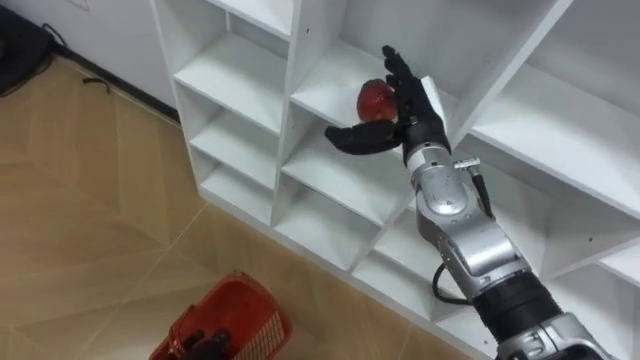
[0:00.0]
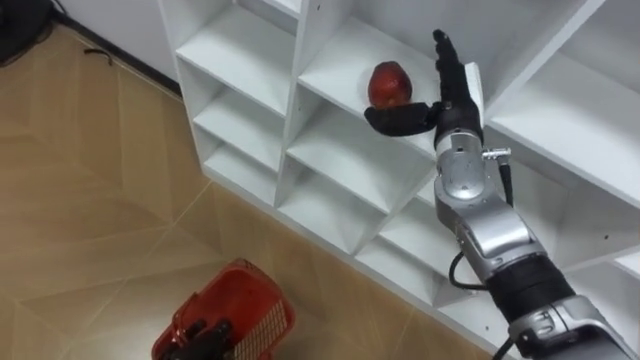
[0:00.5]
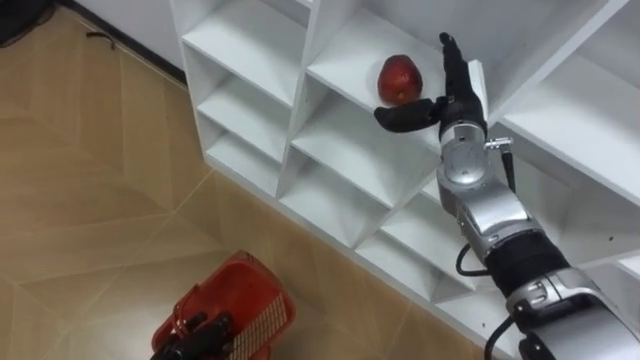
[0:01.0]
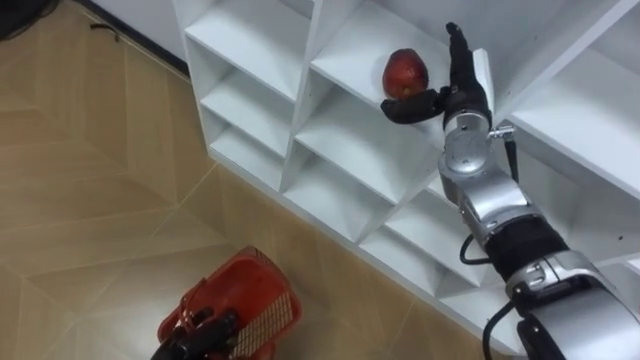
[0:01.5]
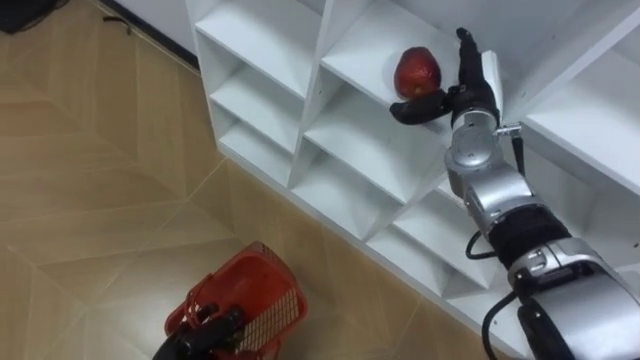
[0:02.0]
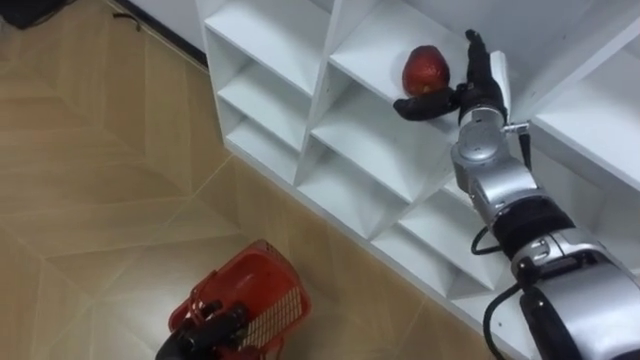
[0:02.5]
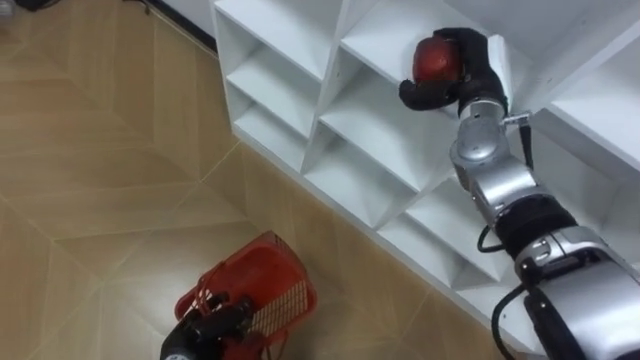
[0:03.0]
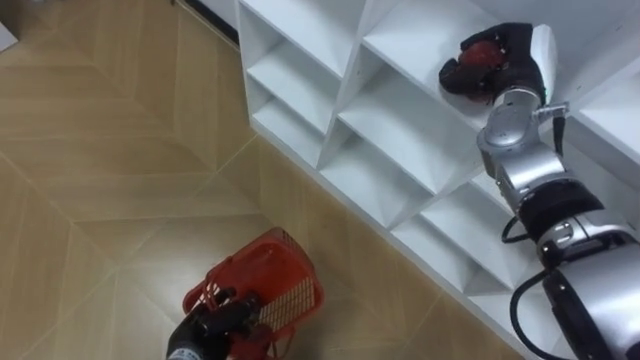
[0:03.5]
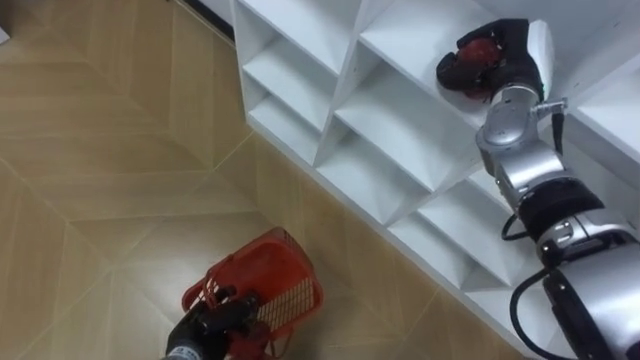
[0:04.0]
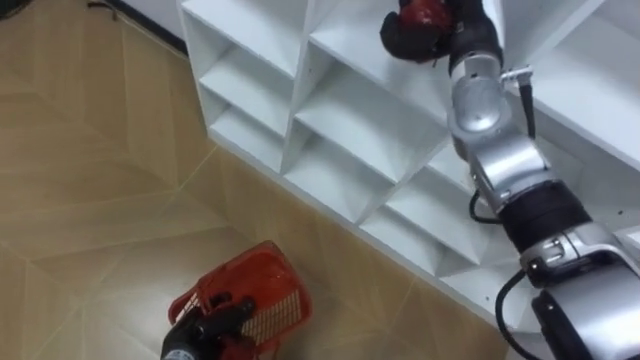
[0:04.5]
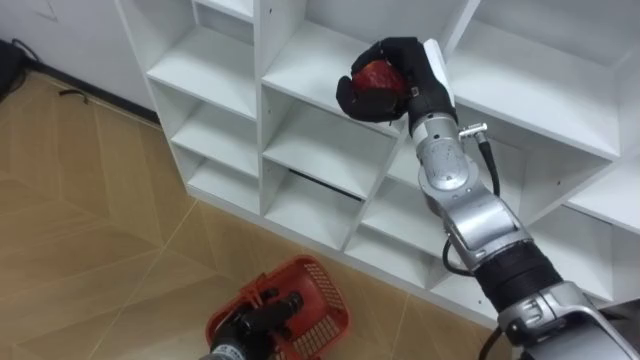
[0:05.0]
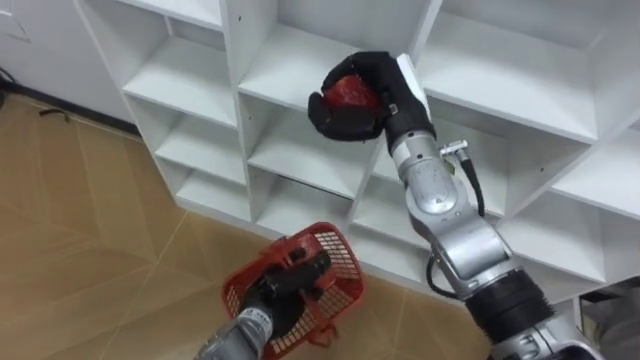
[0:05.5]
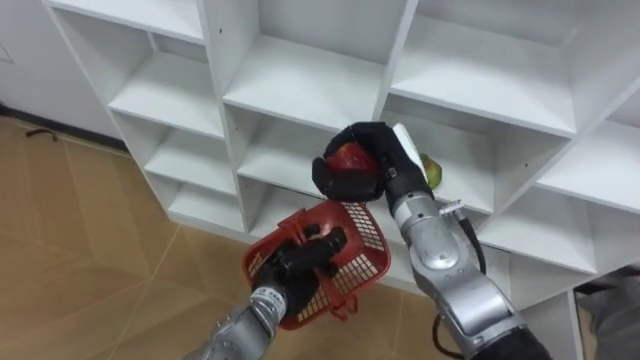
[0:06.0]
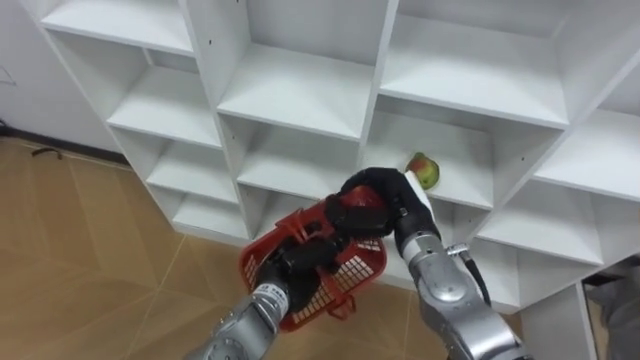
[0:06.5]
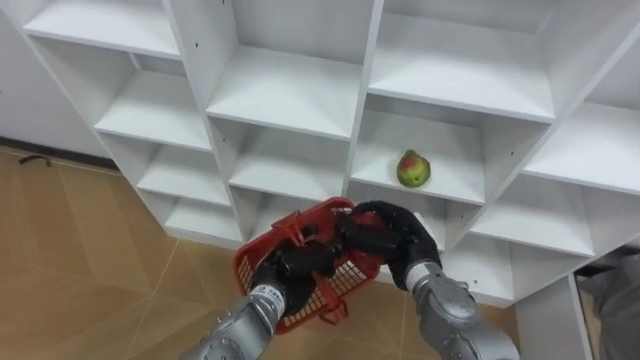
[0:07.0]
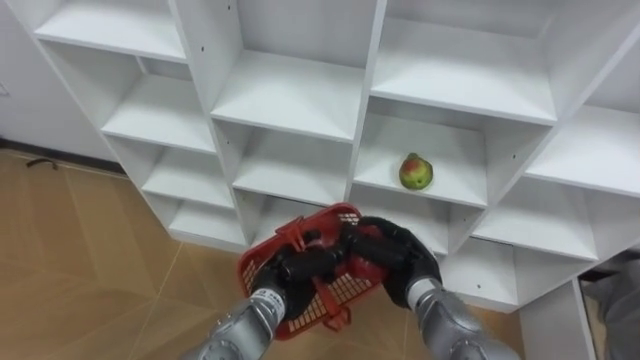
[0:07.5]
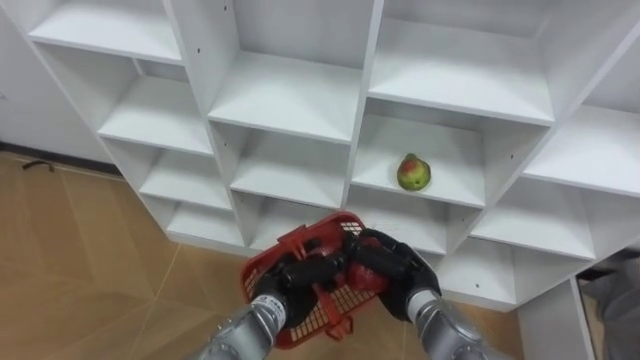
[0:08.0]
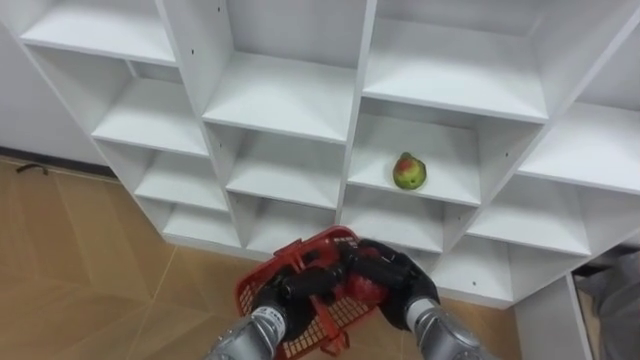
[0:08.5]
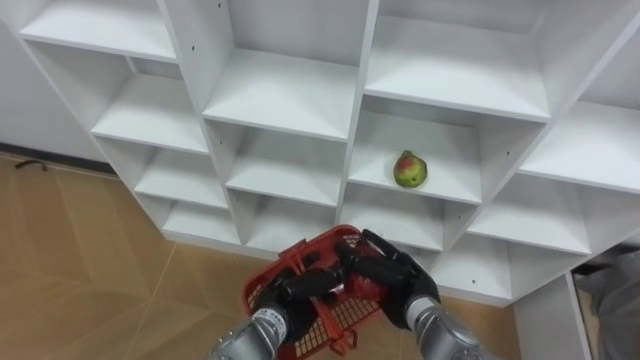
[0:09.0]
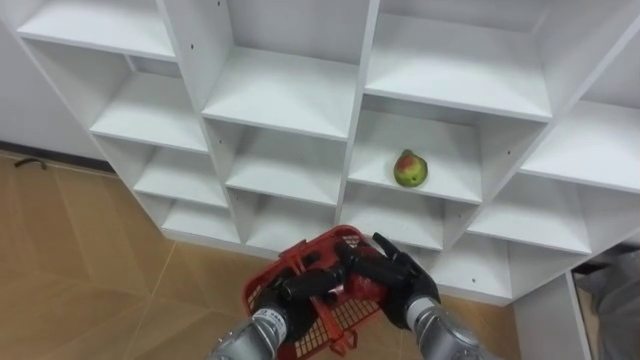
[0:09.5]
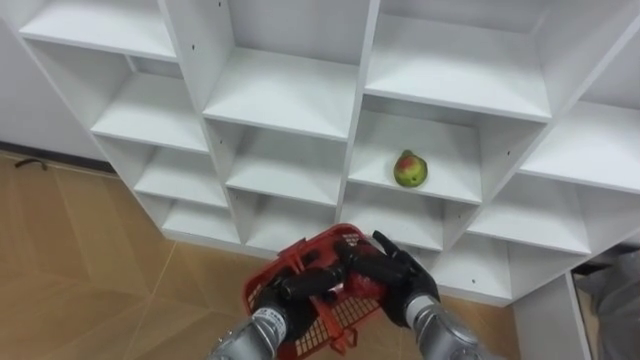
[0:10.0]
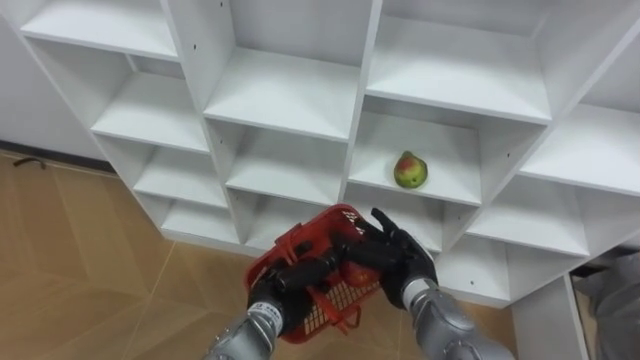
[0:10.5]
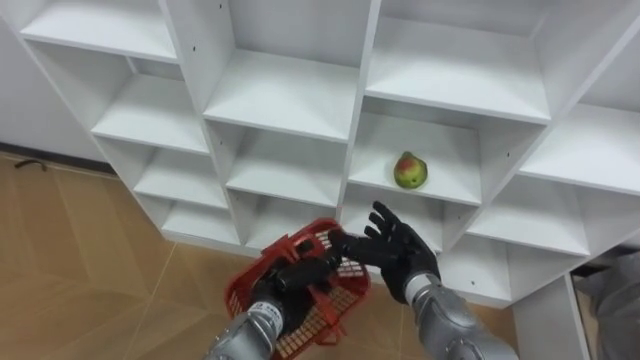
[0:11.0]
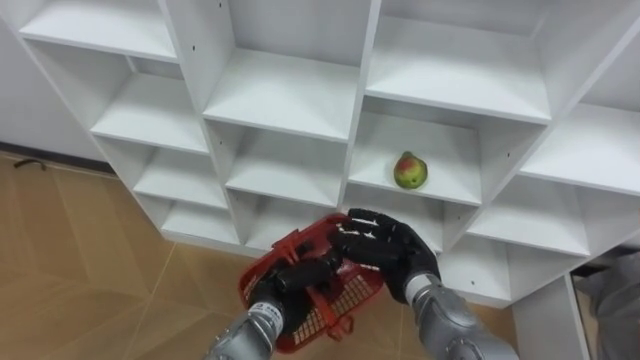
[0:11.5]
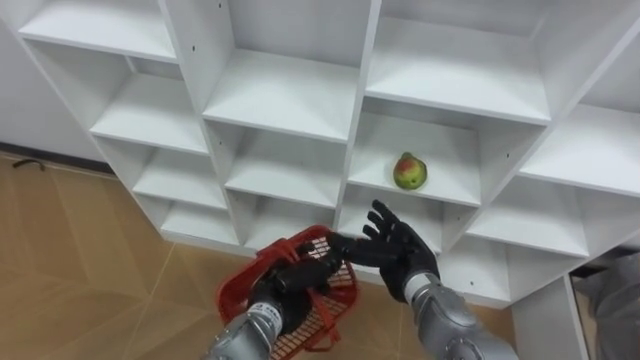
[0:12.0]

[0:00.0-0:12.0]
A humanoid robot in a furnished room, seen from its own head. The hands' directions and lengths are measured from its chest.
Task of the whole recording: Hold the basket and collect the fruits from 3 different cells of the closet into it.
0:00.0 to 0:02.0: The right hand shifts about 5 cm to the right.
0:02.0 to 0:04.0: The right hand ends up roughly 5 cm from where it was, and closes its fingers.
0:04.0 to 0:06.0: The right hand is displaced to the left, backward and downward by approximately 20 cm, while the left hand travels to the right, upward and forward by roughly 15 cm.
0:06.0 to 0:08.0: The right hand is displaced downward and backward by roughly 15 cm.
0:08.0 to 0:10.0: The right hand opens.
0:10.0 to 0:12.0: The right hand closes, then reopens.

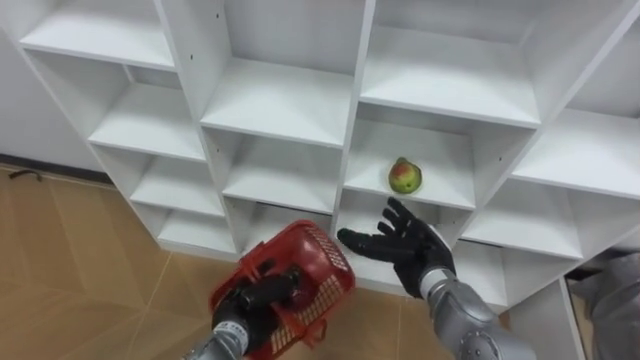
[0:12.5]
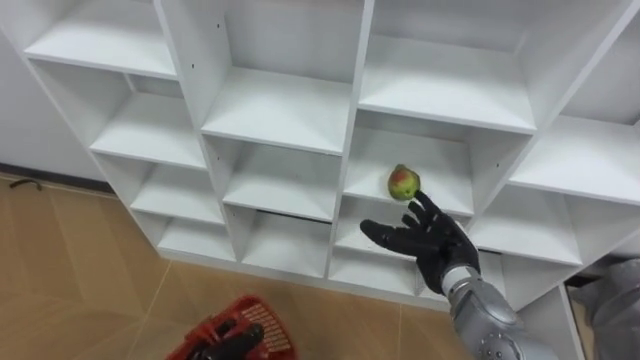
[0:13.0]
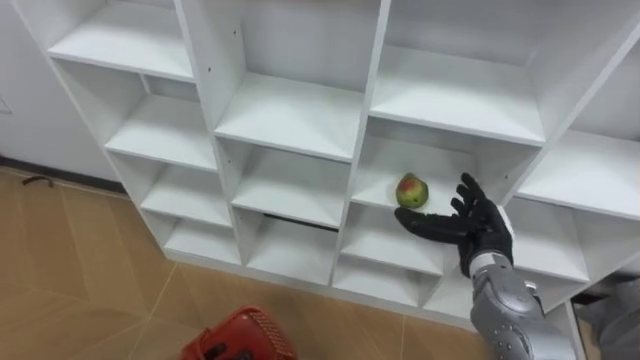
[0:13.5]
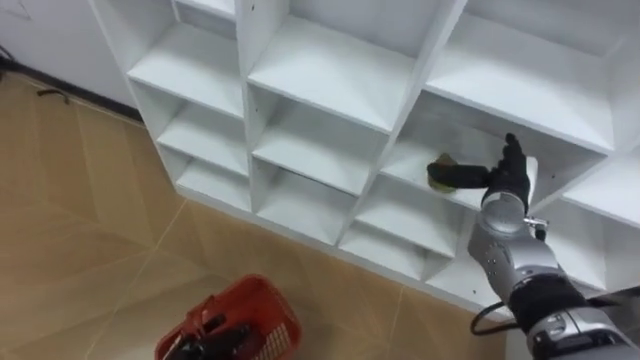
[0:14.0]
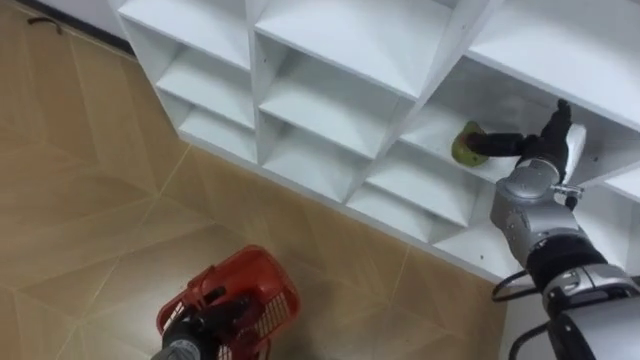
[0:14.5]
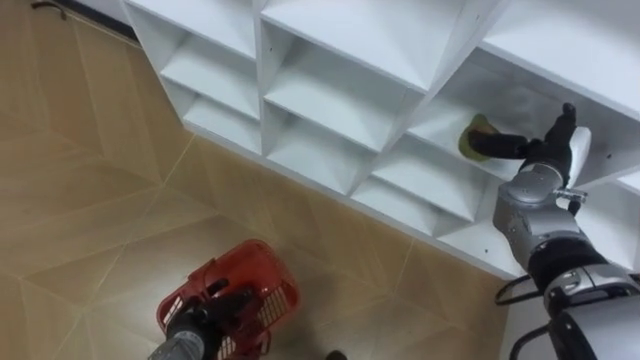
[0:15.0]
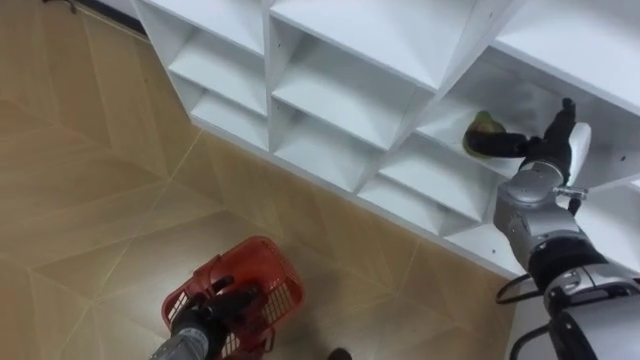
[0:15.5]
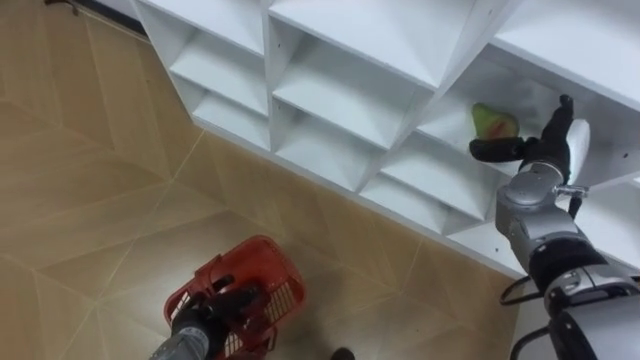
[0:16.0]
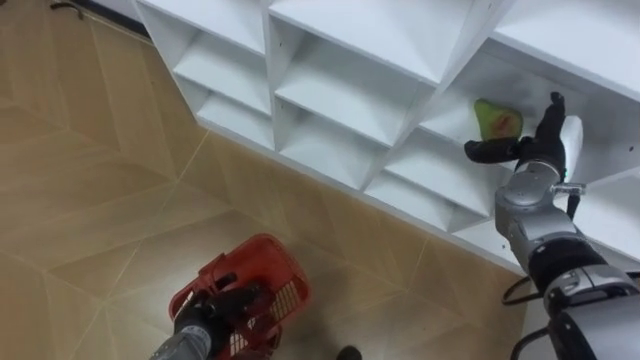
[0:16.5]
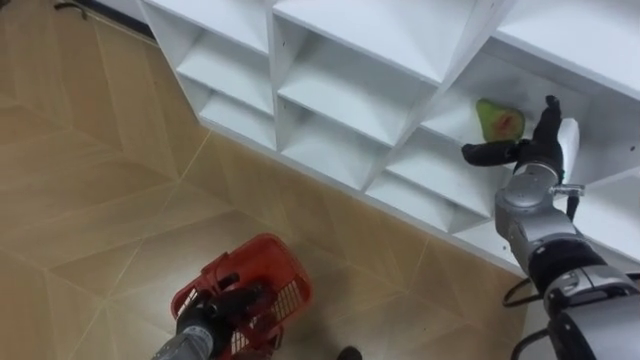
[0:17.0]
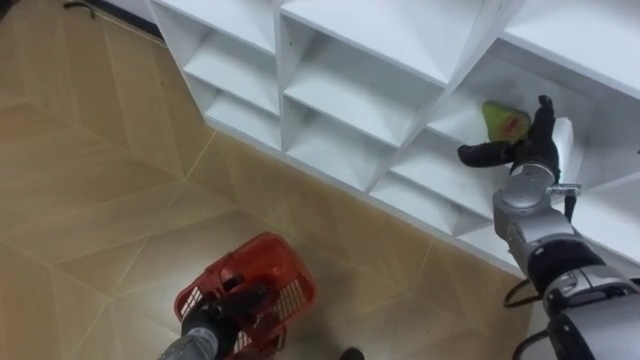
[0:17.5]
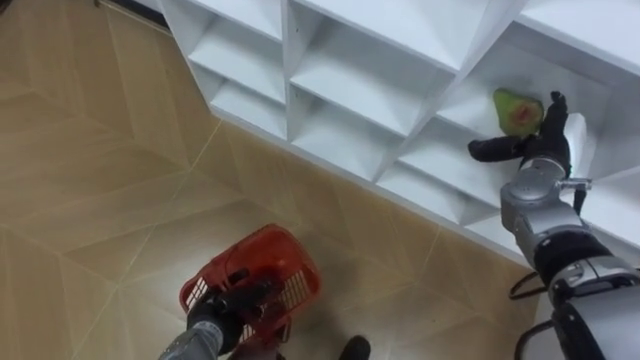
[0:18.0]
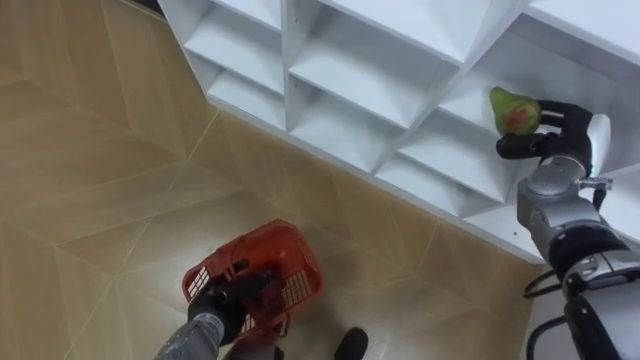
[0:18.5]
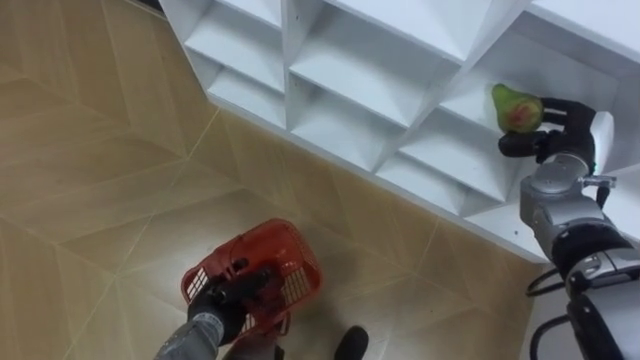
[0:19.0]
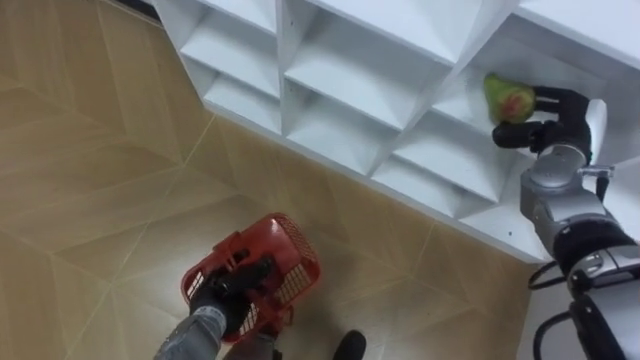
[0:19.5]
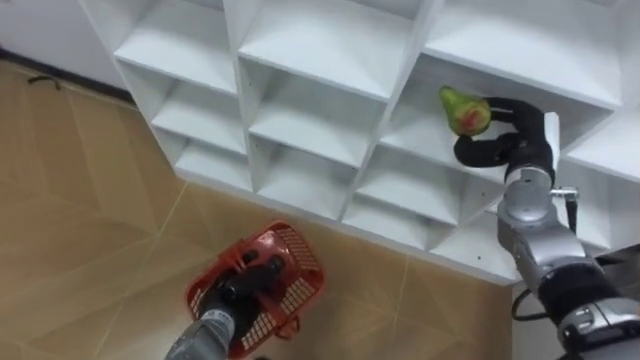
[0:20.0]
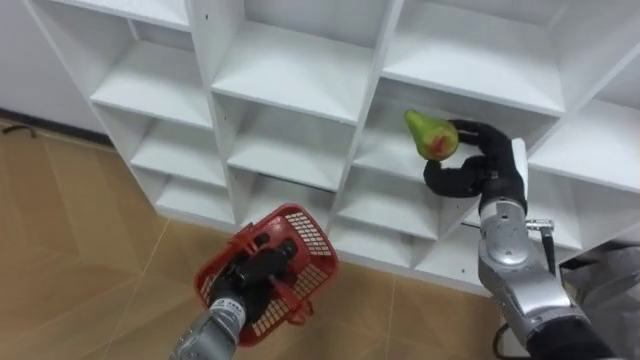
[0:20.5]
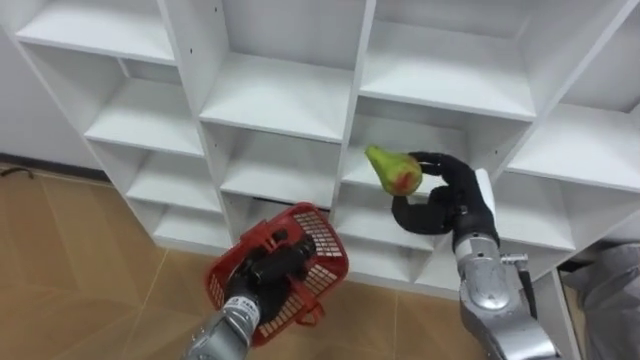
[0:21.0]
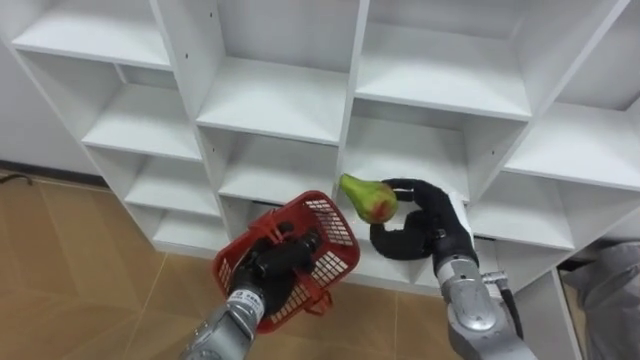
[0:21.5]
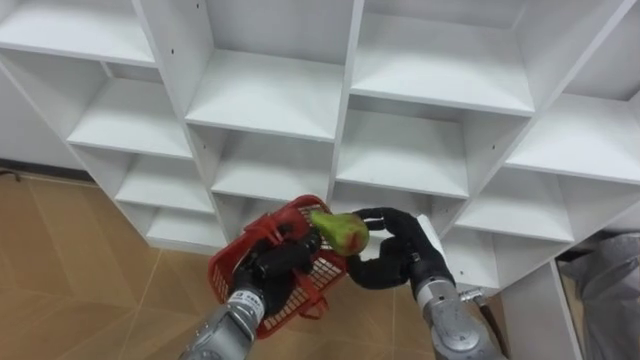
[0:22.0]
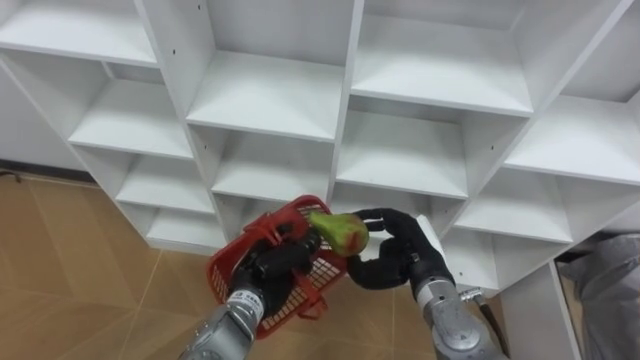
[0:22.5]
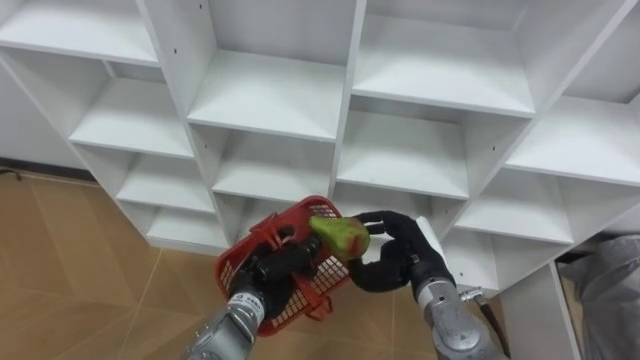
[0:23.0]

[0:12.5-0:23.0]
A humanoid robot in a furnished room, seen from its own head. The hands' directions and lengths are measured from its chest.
Task of the whole recording: Hold the basket and collect the fruits from 3 different cells of the closet into it.
0:12.5 to 0:14.5: The right hand shifts about 20 cm to the right, upward and forward.
0:16.5 to 0:19.0: The right hand closes its fingers.
0:19.0 to 0:21.0: The left hand heads to the right and upward, covering about 10 cm; the right hand goes approximately 15 cm to the left and backward.
0:21.0 to 0:23.0: The right hand is displaced to the left and downward by approximately 10 cm.
